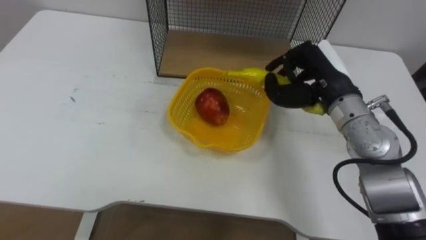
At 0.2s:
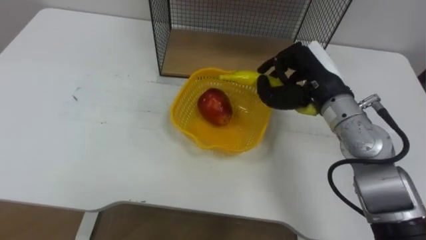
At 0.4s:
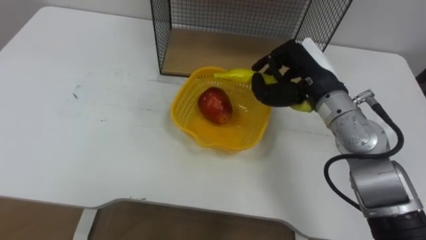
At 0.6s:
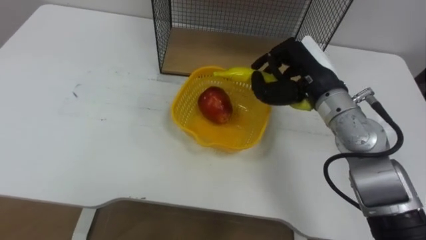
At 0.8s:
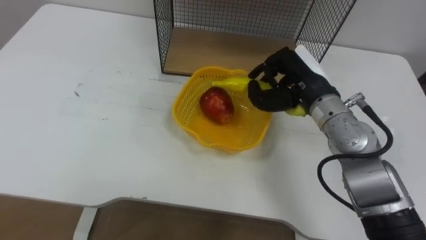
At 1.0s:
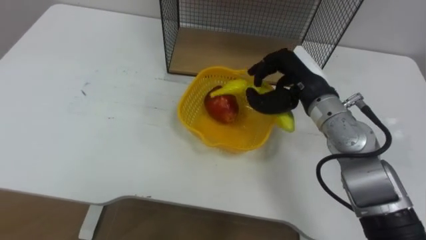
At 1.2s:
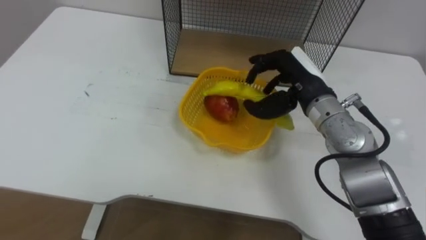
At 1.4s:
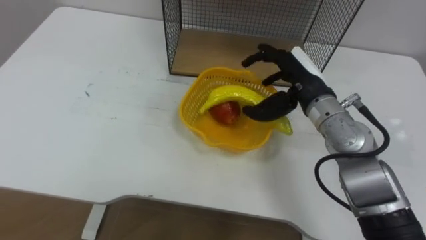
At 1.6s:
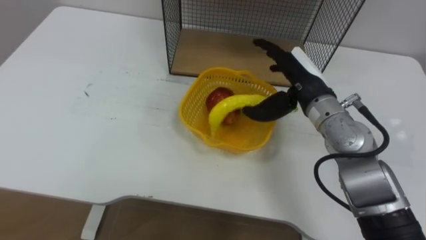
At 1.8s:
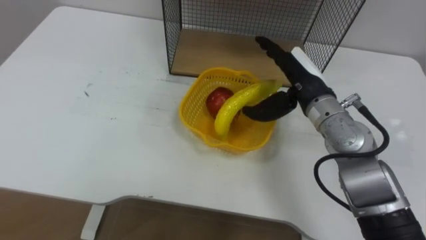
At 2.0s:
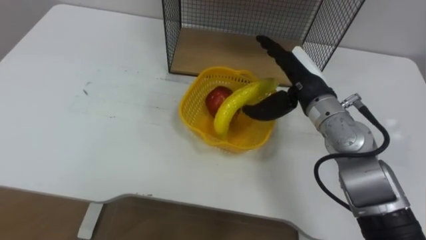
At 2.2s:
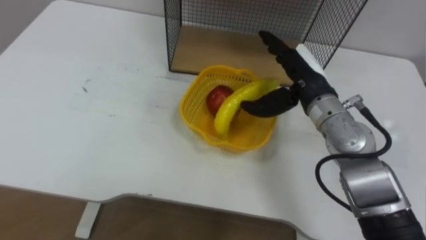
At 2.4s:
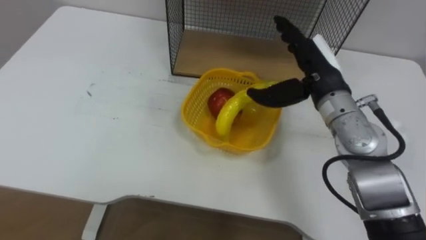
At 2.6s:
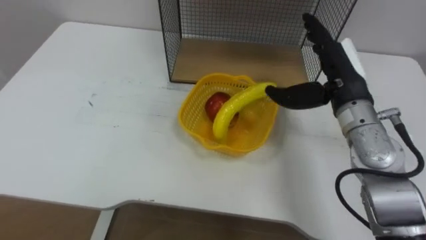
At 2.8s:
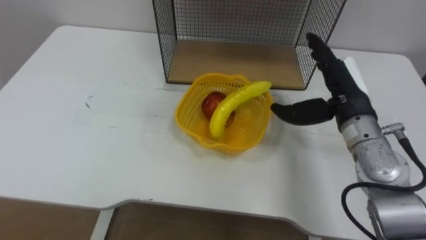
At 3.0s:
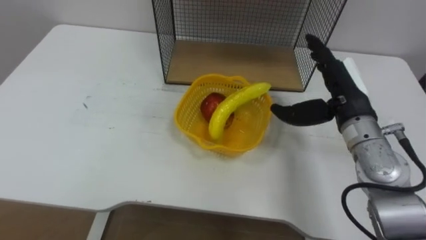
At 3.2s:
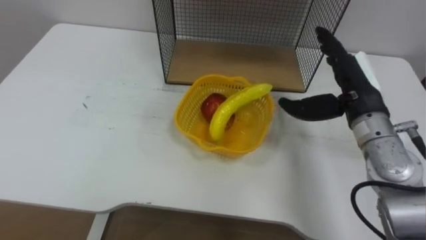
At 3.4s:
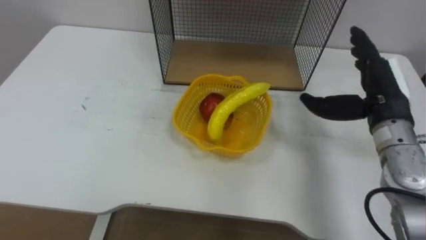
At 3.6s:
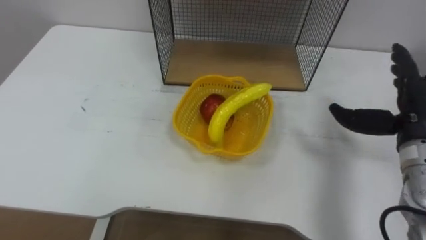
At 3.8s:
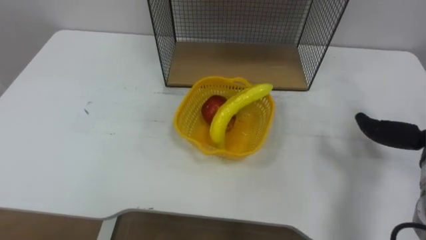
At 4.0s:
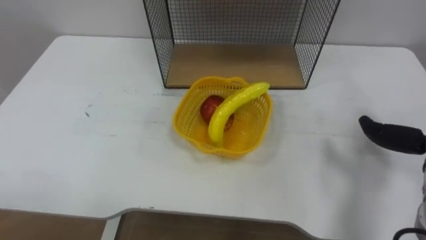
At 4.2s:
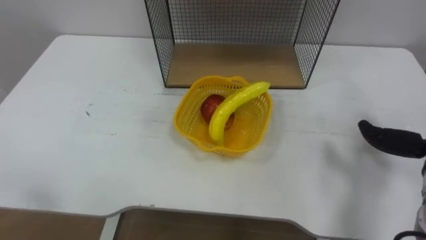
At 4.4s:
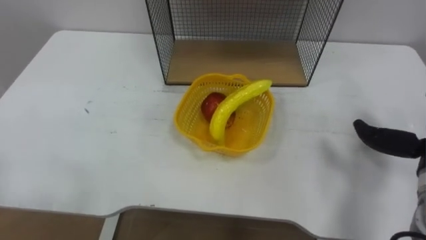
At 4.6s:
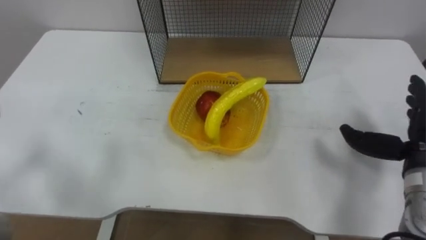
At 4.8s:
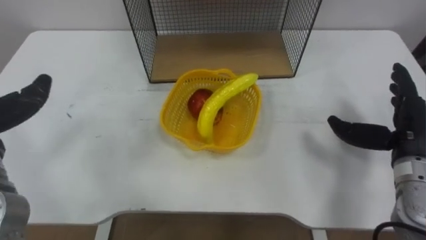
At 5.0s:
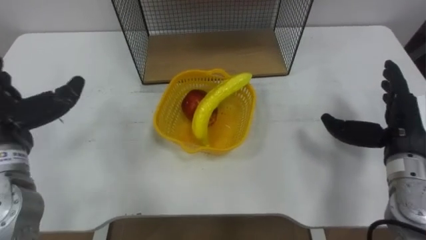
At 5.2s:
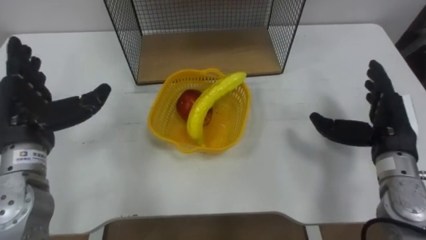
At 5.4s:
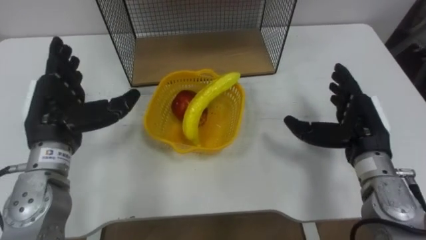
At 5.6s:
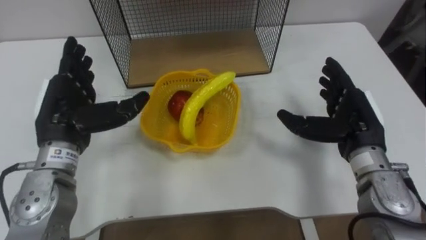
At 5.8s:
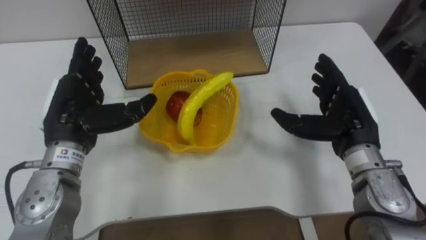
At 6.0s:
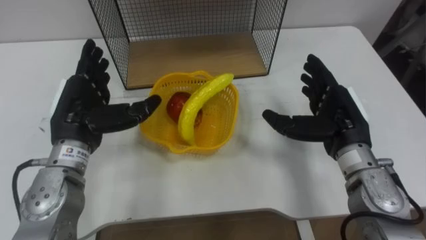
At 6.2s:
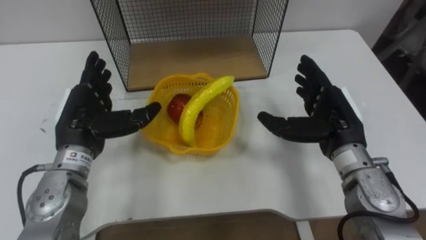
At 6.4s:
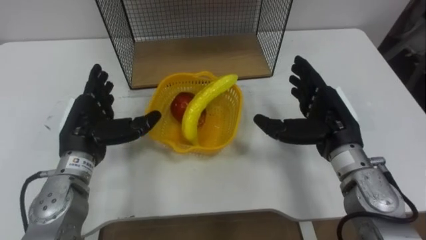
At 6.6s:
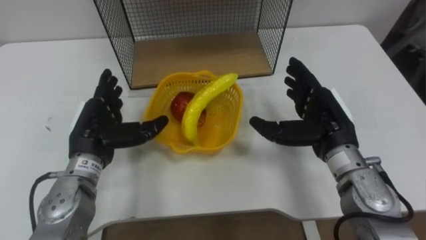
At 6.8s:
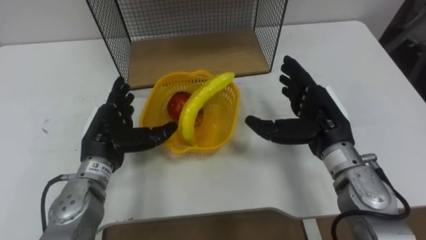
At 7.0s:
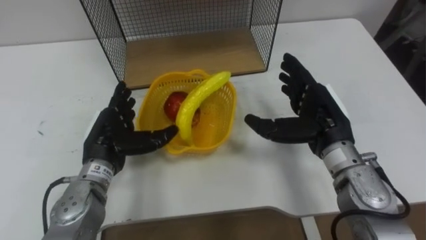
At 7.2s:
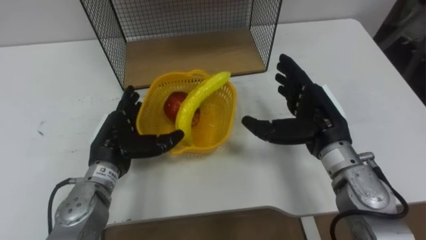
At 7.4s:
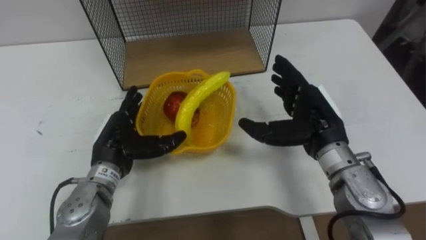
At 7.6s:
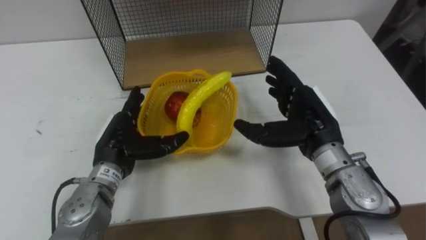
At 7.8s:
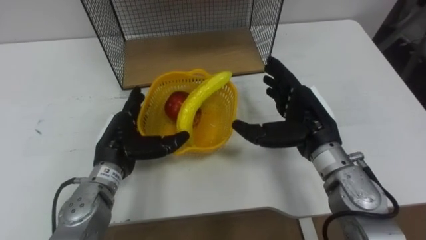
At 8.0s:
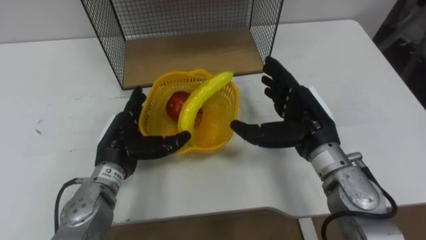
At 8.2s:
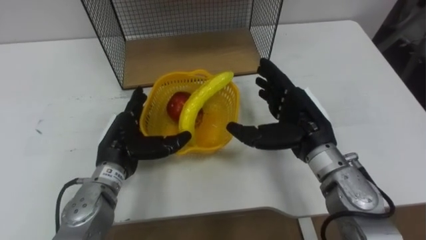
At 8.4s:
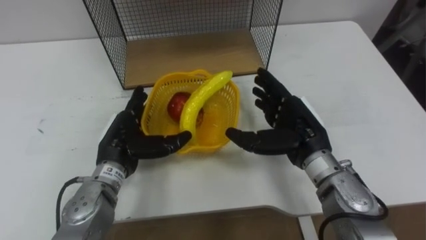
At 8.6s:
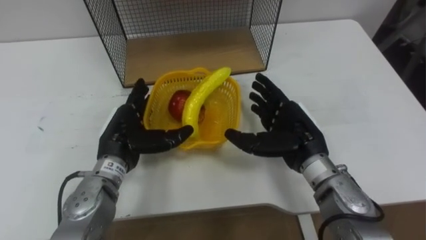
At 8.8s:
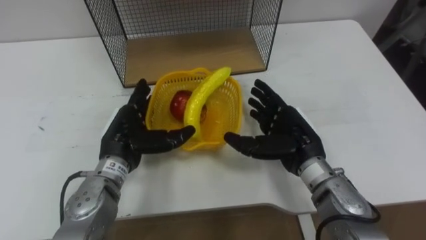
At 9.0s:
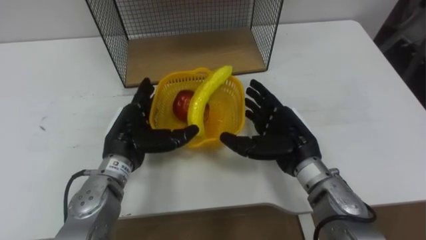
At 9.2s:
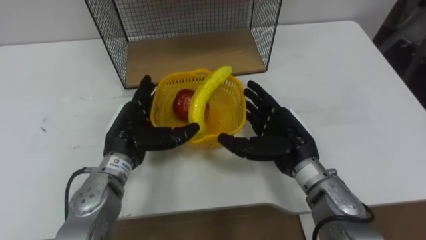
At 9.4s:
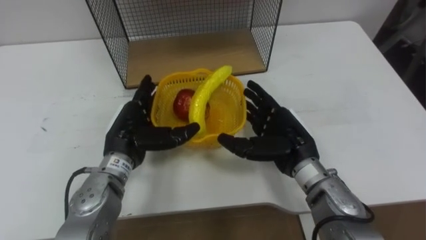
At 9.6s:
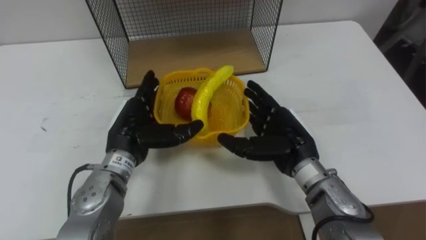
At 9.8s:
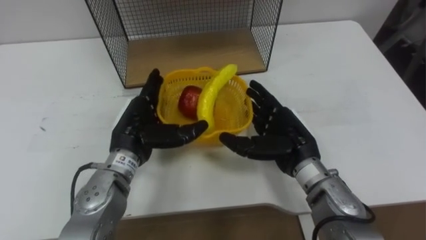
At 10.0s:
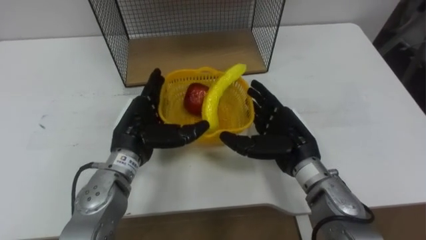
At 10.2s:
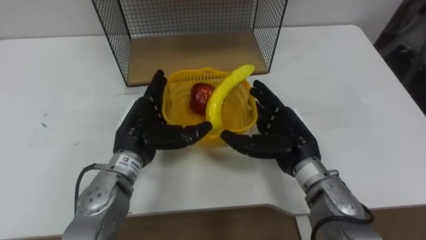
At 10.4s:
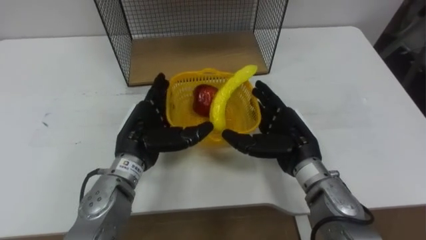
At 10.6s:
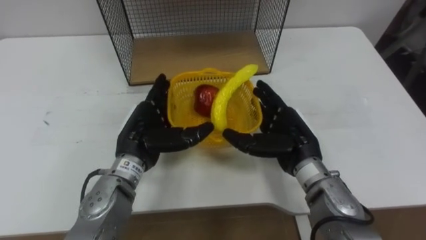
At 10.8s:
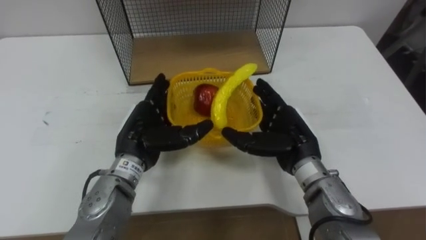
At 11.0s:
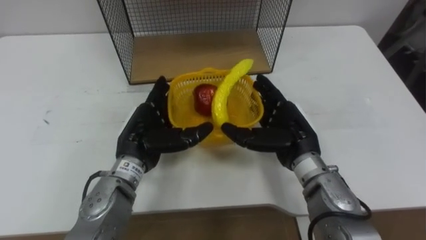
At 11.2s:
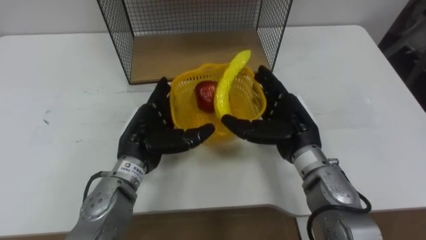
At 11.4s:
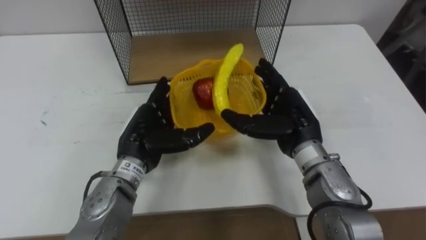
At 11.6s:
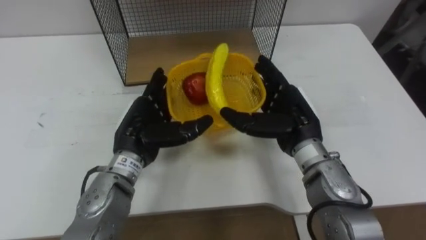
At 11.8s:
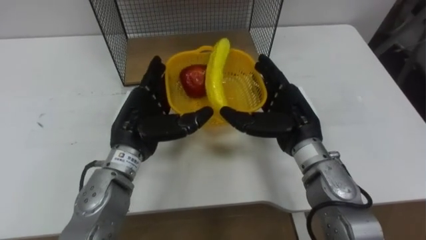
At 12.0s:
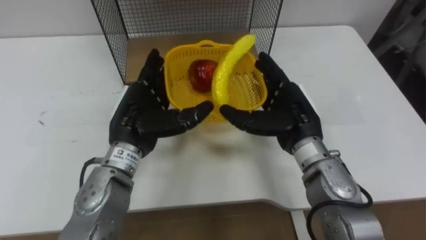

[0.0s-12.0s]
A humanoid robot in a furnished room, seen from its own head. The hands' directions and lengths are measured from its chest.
Task of the whole recording: Put the fruit on the table into the basket, then place the basket on the shelf.
0.0s to 1.6s: The right hand opens.
1.6s to 3.0s: The right hand shifts roughly 5 cm to the right.
6.0s to 7.6s: The left hand is displaced downward by roughly 10 cm.
7.6s to 9.0s: The right hand shifts by about 5 cm.
9.0s to 10.4s: There are only small adjustments of the hands.

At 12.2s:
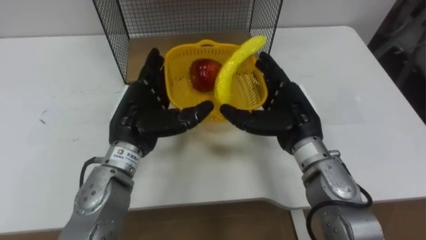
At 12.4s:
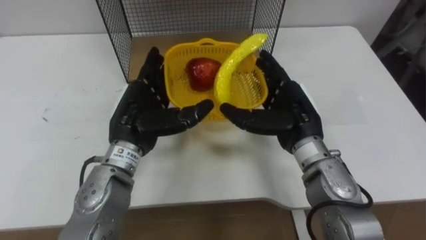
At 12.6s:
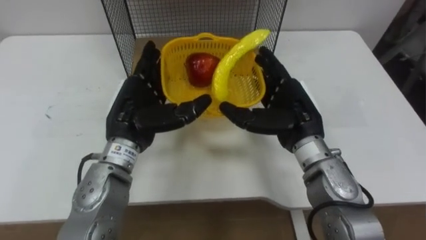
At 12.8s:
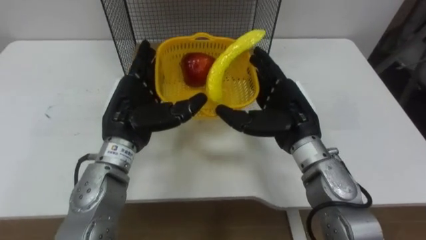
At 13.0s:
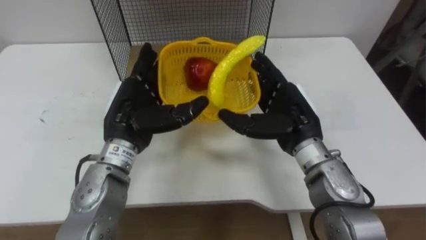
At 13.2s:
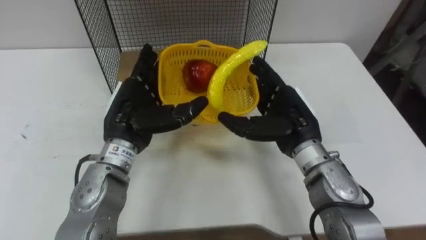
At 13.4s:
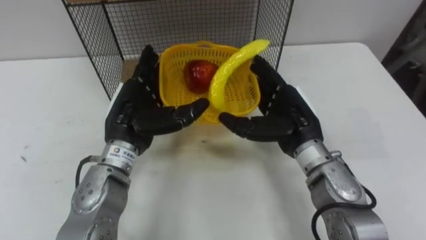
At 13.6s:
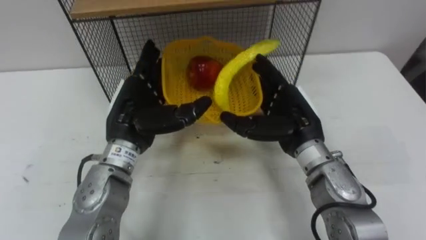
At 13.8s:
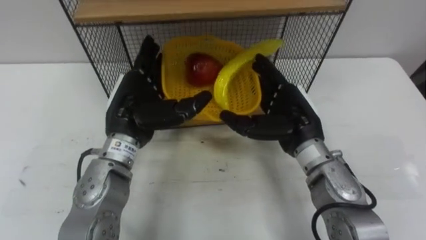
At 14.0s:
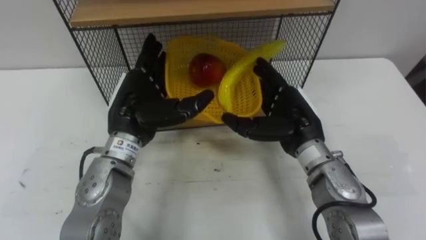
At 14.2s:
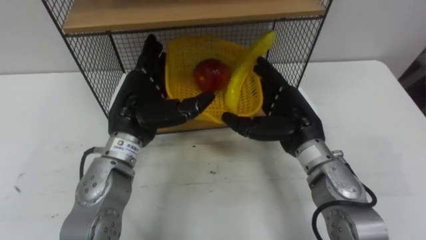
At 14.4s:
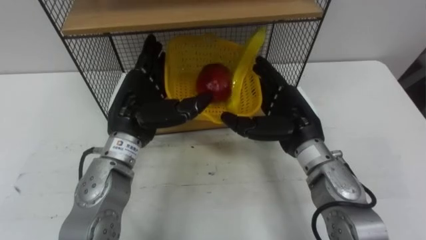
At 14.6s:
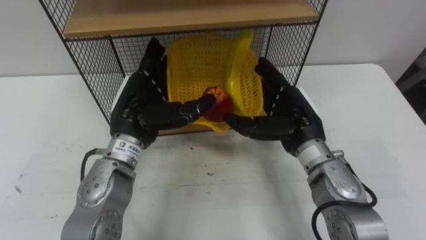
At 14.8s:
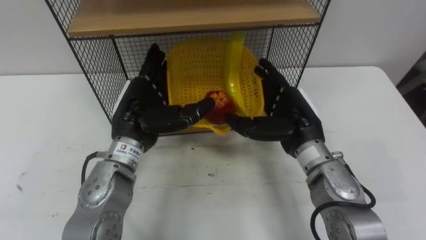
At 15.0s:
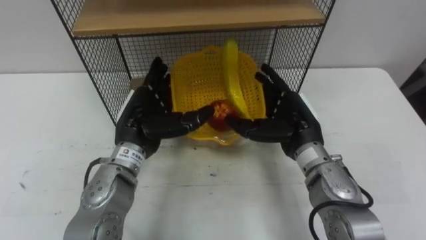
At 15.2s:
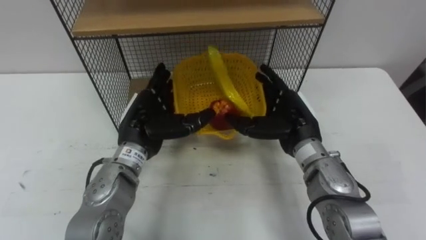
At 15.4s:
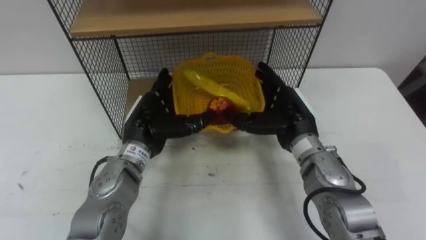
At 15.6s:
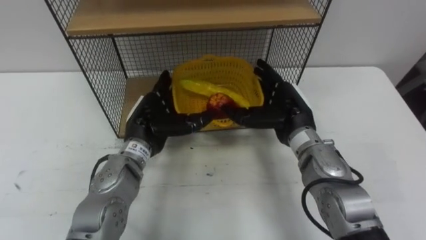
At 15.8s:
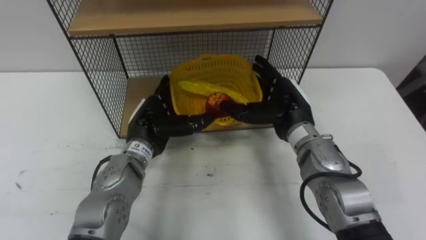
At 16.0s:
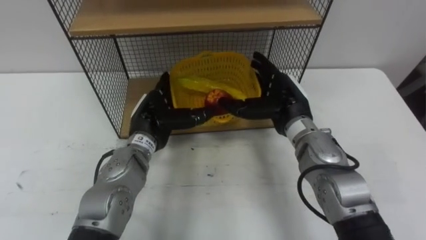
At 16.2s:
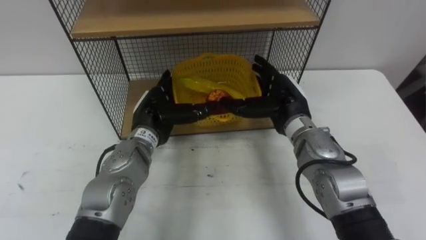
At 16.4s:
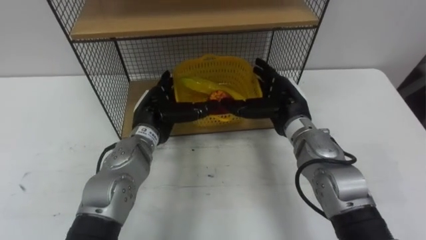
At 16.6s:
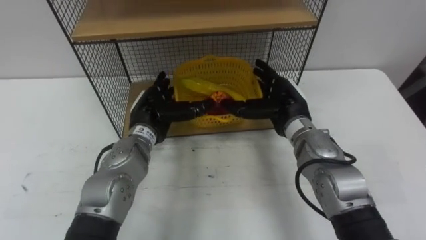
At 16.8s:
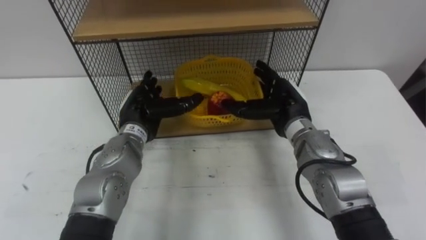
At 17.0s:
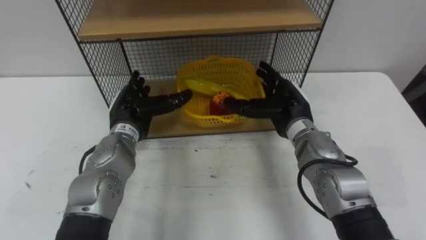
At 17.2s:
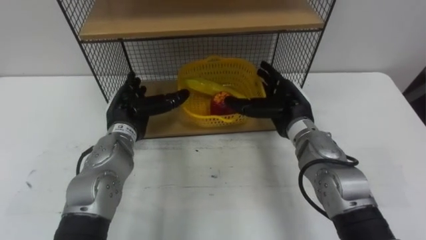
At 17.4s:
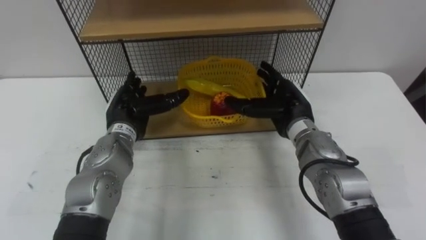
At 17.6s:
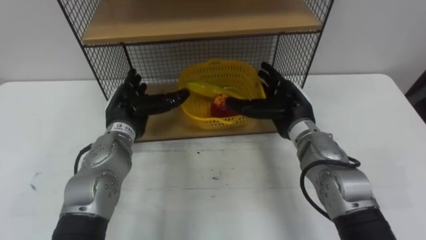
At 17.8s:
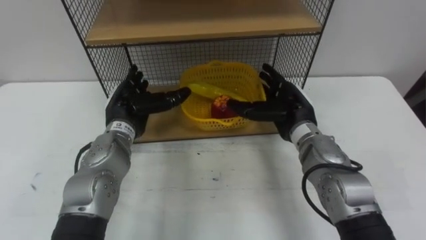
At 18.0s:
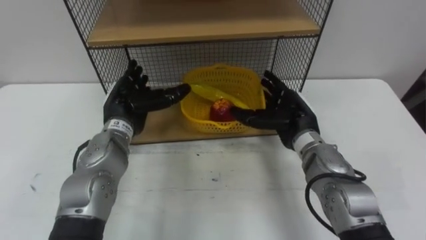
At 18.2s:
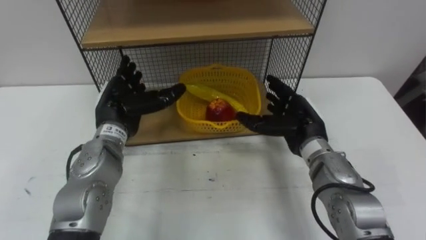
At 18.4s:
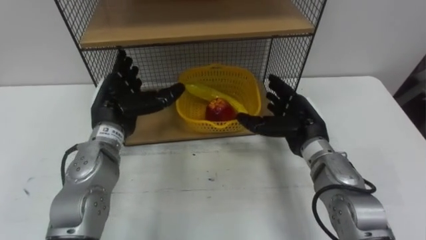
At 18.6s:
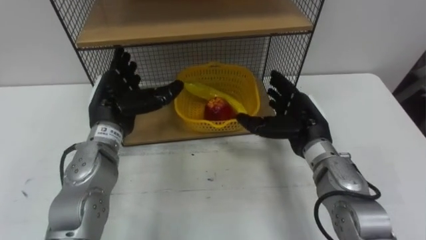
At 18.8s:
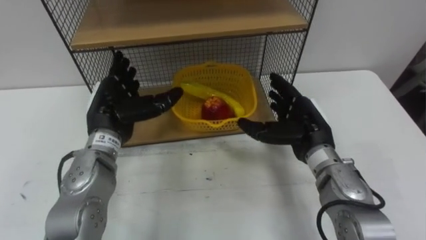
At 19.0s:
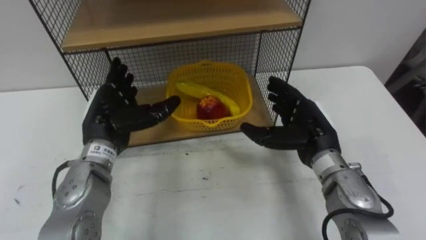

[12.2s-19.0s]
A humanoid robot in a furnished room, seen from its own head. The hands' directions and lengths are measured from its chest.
Task of the whole recording: Put the fruit on the table into the basket, then place the basket on the shelf.
15.0s to 16.2s: The left hand ends up roughly 5 cm from where it was.
16.2s to 17.6s: The left hand heads to the left, covering about 5 cm.
17.6s to 19.0s: The left hand ends up approximately 5 cm from where it was; the right hand moves backward, about 5 cm.
